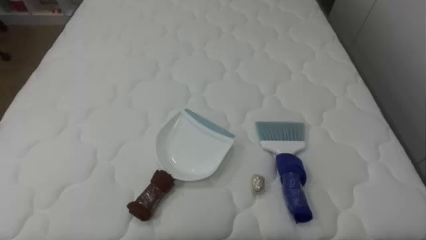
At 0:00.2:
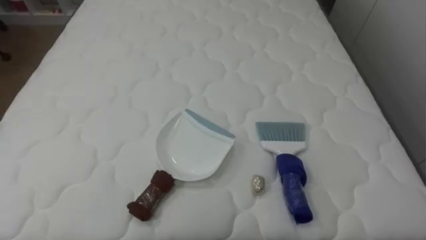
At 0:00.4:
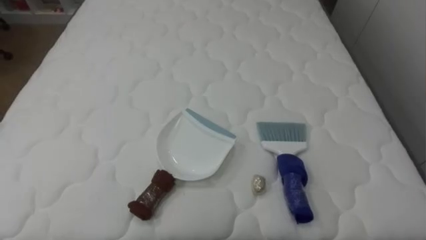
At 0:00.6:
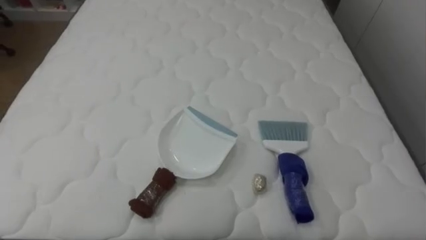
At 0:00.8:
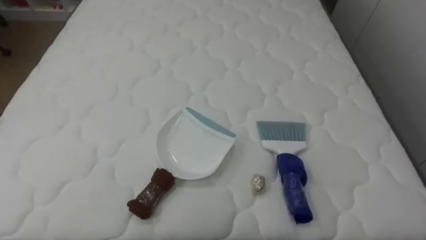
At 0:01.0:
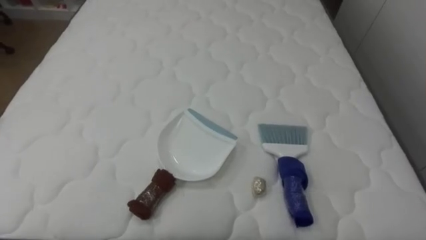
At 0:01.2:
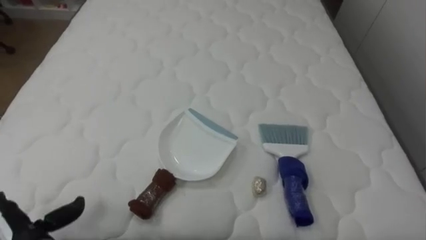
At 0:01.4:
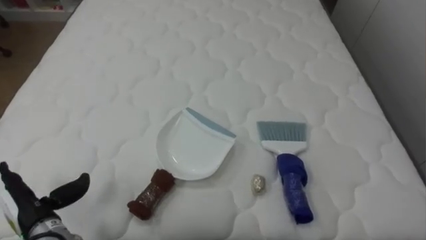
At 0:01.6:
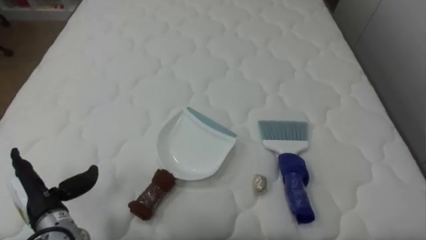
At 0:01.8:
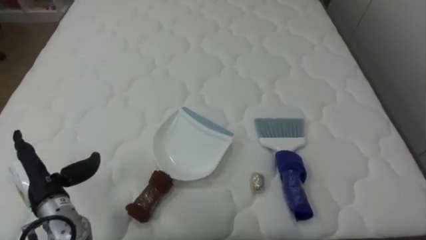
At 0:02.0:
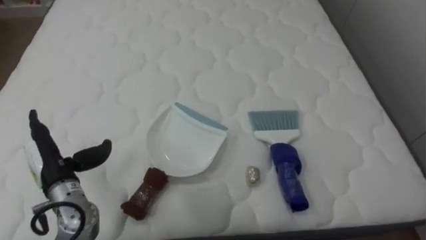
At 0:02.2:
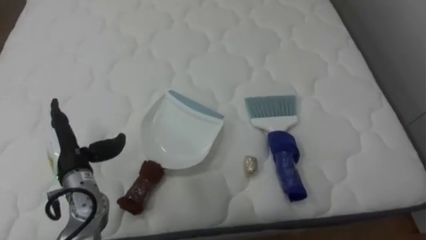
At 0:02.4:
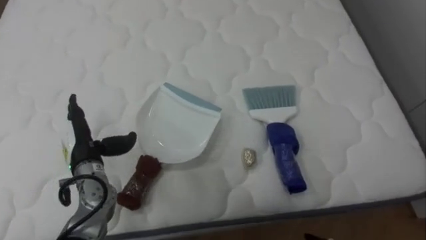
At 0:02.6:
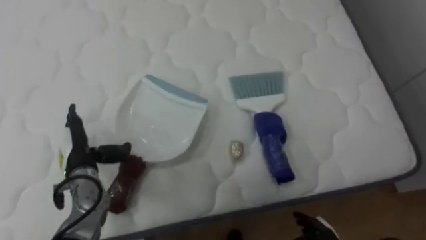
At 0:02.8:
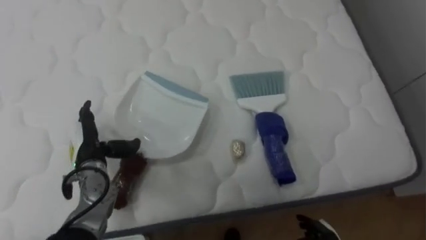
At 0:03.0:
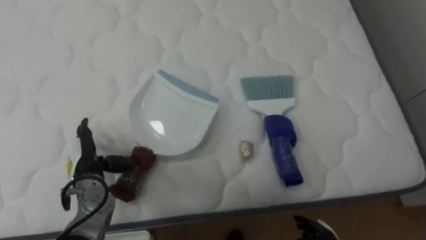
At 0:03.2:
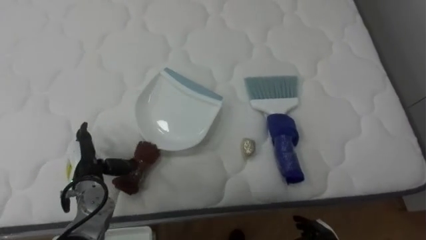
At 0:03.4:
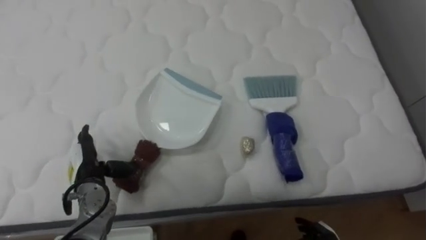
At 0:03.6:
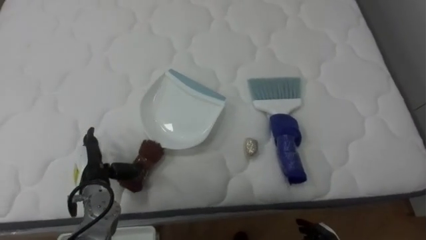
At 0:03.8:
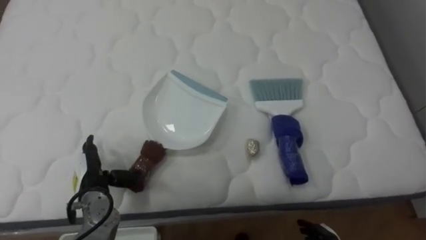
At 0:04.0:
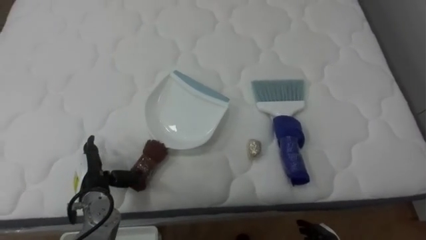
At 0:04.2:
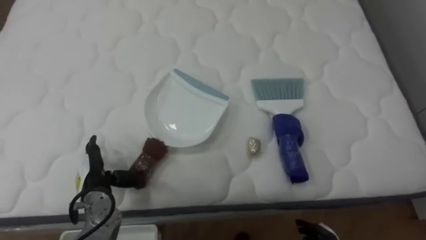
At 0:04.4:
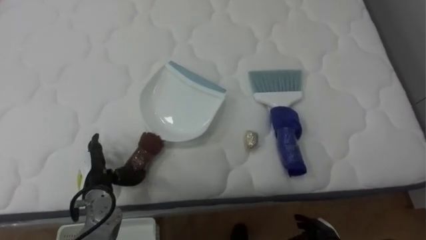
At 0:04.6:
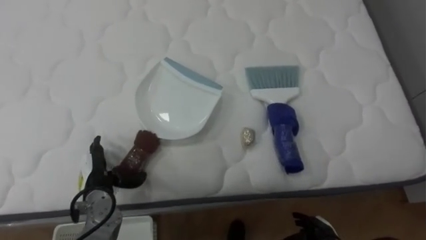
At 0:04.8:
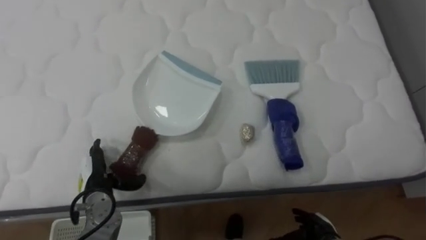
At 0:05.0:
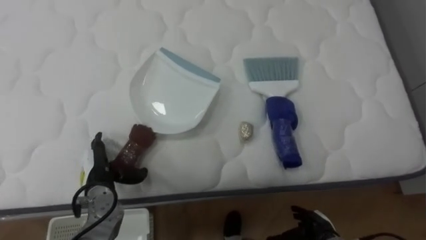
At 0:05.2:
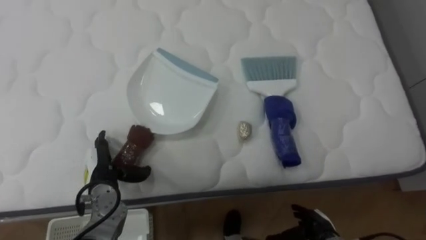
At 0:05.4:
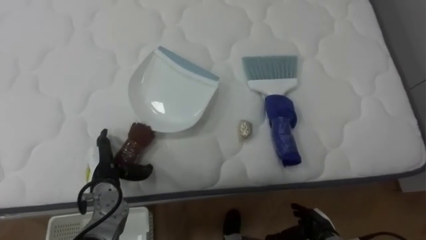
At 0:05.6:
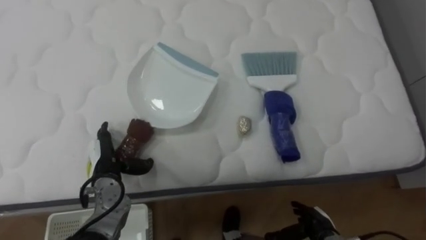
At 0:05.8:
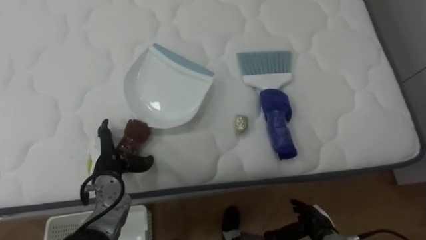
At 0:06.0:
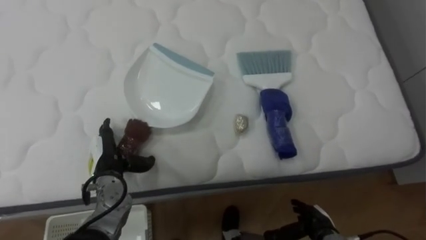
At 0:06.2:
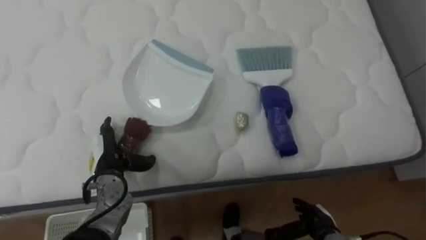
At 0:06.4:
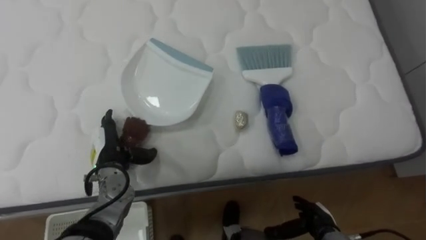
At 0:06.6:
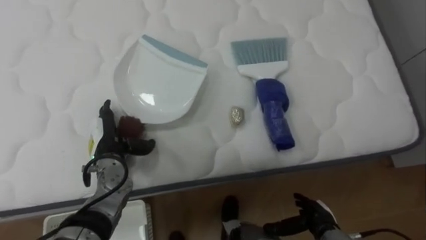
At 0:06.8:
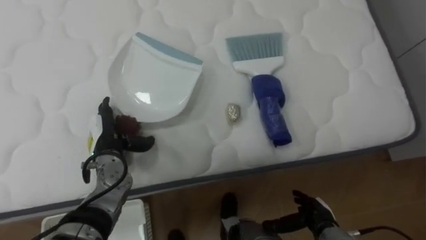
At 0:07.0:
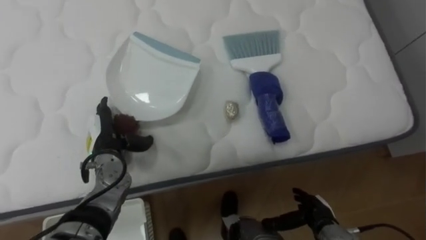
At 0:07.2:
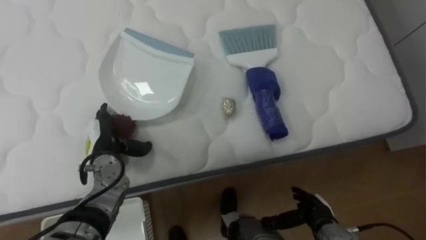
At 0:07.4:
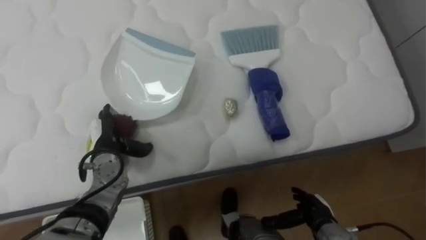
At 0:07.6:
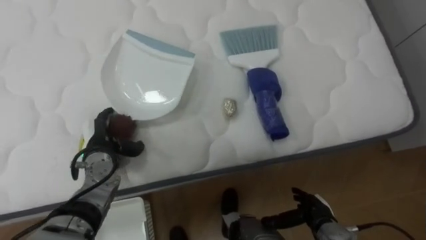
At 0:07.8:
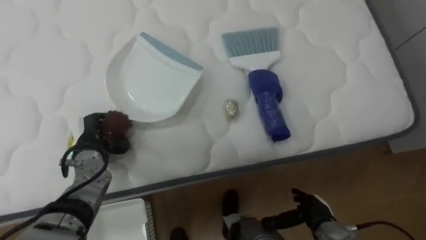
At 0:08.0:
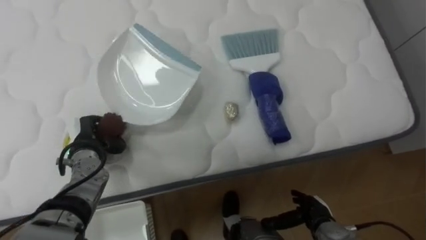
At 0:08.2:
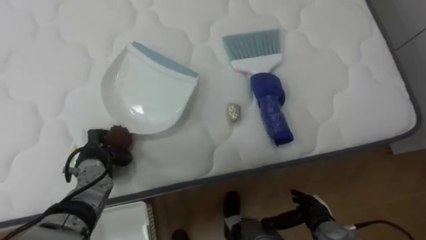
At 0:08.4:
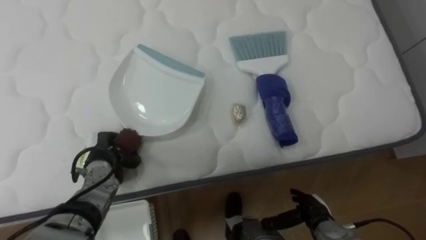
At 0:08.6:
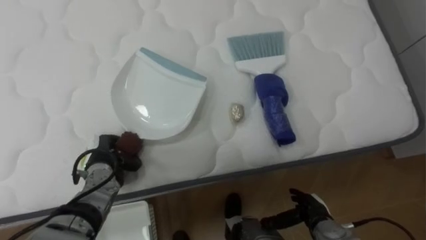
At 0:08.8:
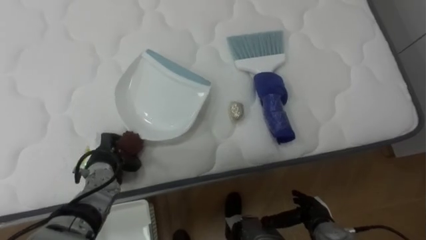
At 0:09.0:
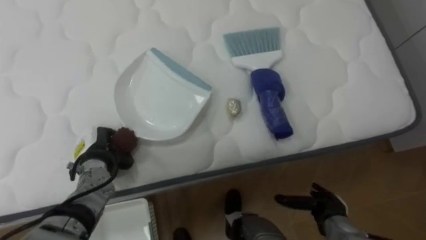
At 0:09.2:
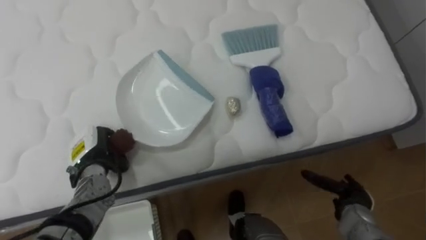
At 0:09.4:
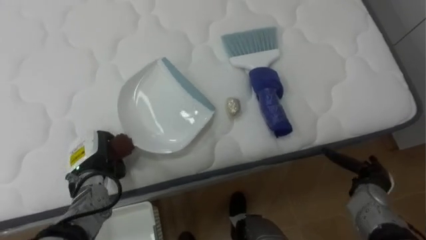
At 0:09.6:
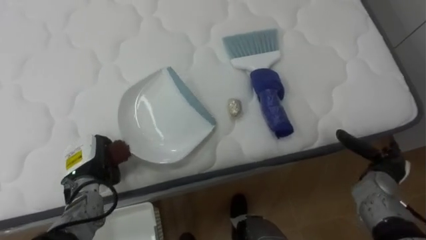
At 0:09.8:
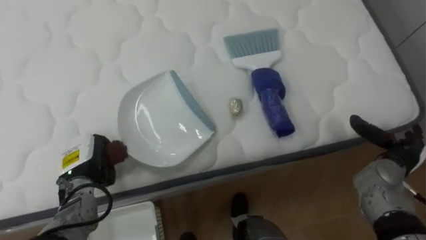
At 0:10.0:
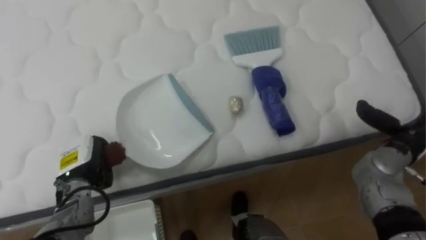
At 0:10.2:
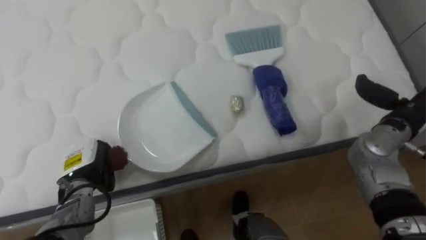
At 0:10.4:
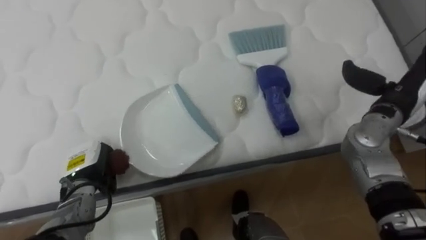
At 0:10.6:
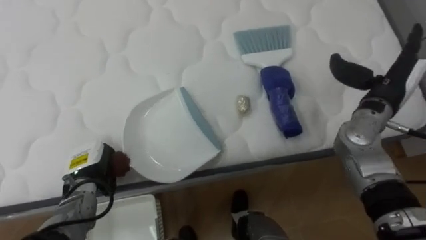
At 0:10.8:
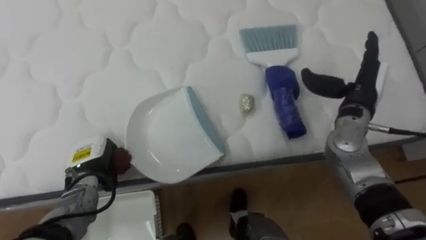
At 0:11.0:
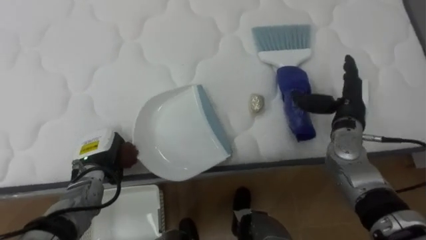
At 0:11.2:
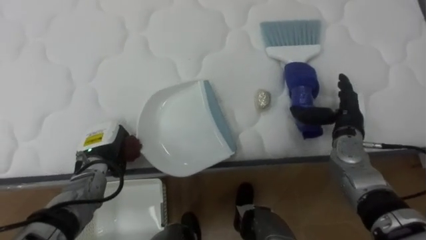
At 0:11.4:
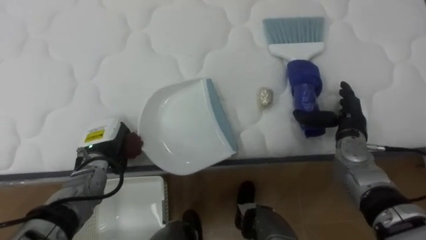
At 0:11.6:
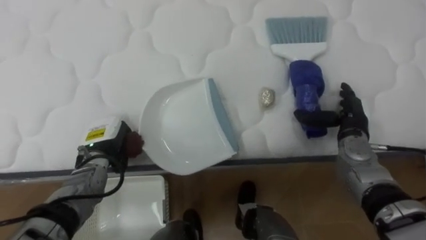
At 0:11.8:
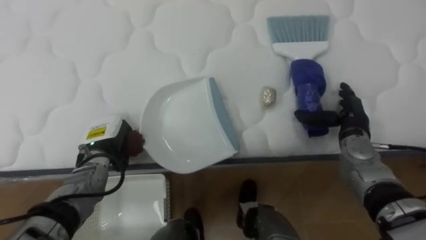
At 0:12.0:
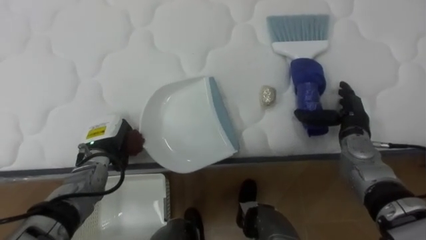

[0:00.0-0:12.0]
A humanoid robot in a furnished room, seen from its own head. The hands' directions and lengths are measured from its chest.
Task of the whole recording: Pick up the brush on your right and the dustpan on your left. Use the brush to sweep the crumpled paper on the bed into the dustpan, then turn left and empty it into the basket.
0:01.6 to 0:03.0: The left hand goes approximately 10 cm forward and to the right.
0:07.6 to 0:09.0: The left hand closes up.
0:09.0 to 0:10.4: The right hand goes approximately 30 cm upward and forward.
0:10.4 to 0:12.0: The left hand shifts roughly 5 cm forward. Meanwhile the right hand heads downward, covering some 10 cm.

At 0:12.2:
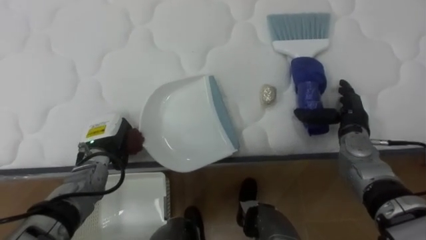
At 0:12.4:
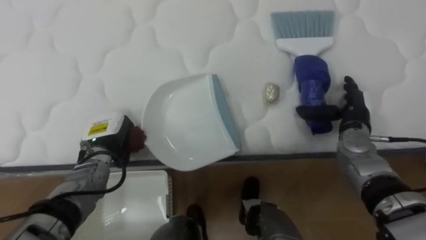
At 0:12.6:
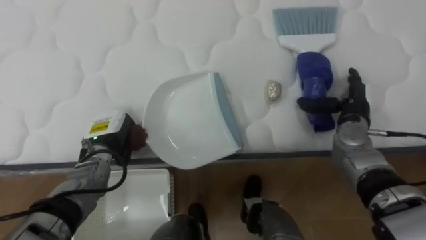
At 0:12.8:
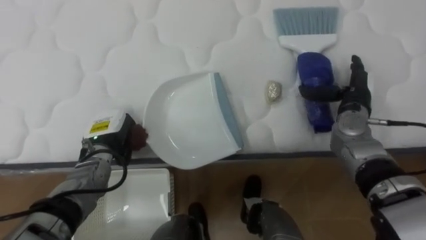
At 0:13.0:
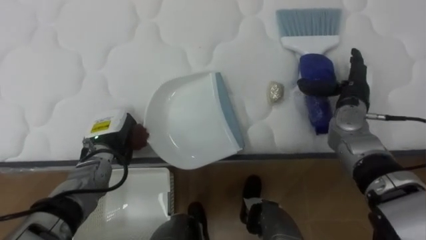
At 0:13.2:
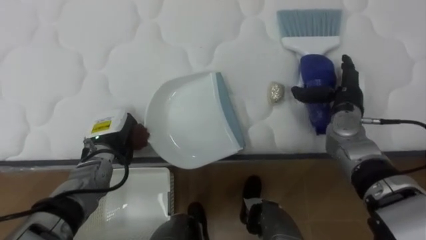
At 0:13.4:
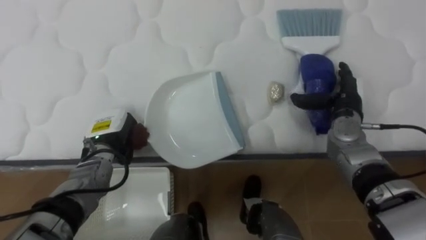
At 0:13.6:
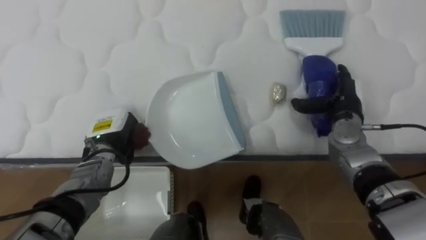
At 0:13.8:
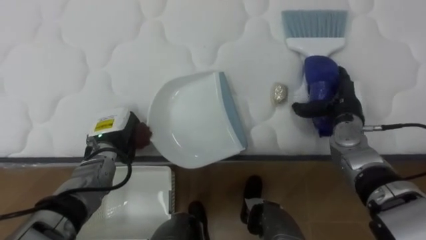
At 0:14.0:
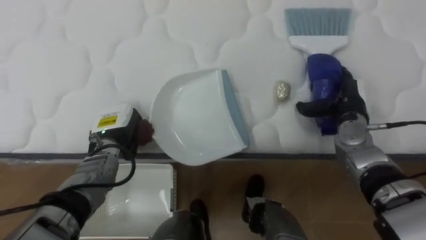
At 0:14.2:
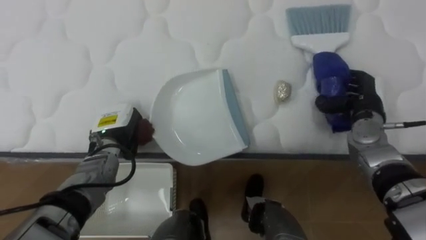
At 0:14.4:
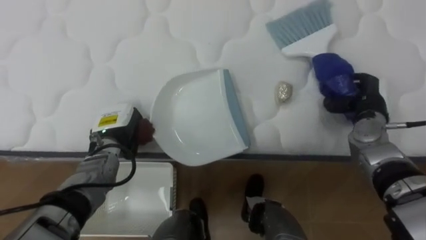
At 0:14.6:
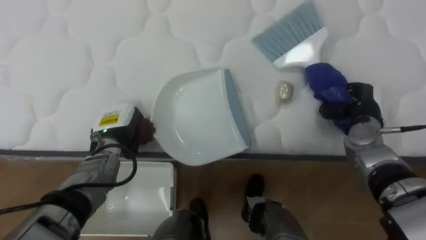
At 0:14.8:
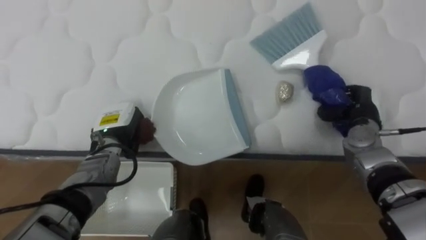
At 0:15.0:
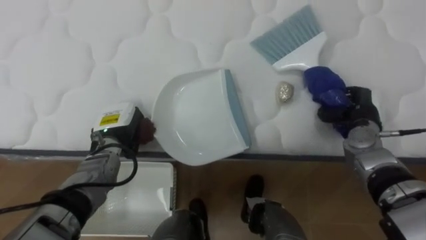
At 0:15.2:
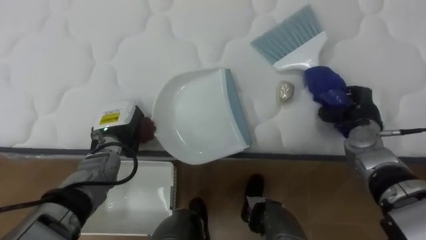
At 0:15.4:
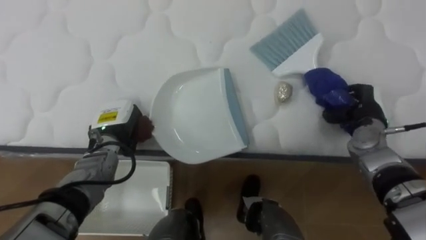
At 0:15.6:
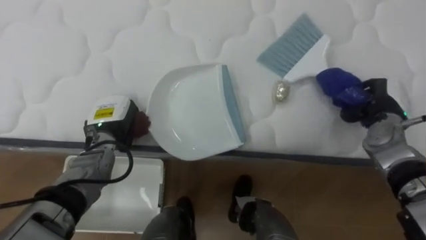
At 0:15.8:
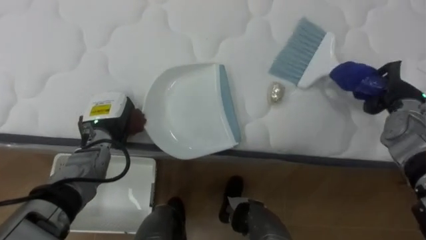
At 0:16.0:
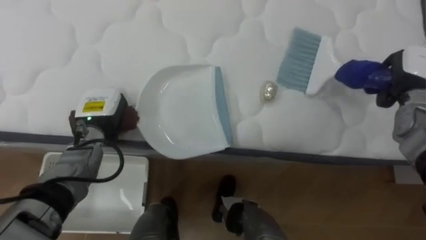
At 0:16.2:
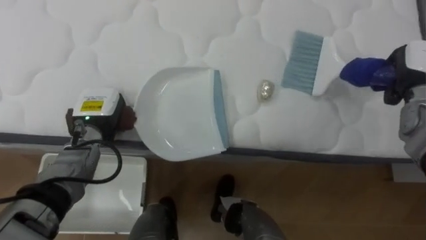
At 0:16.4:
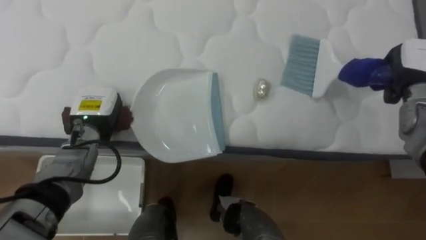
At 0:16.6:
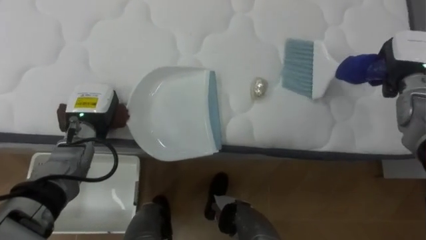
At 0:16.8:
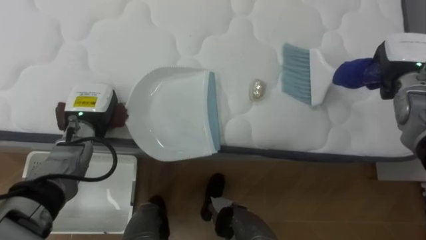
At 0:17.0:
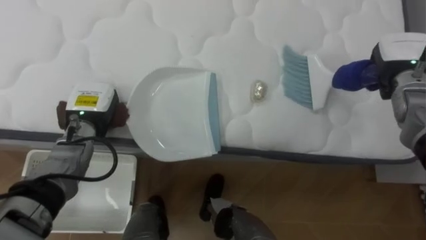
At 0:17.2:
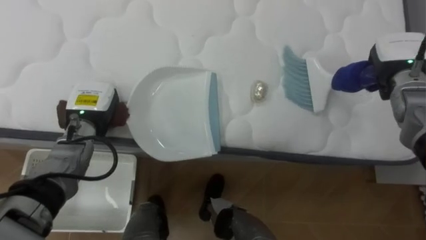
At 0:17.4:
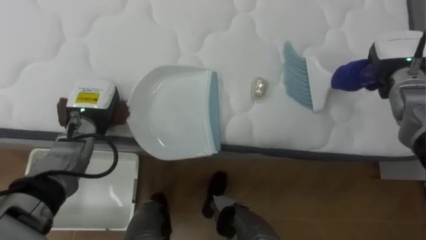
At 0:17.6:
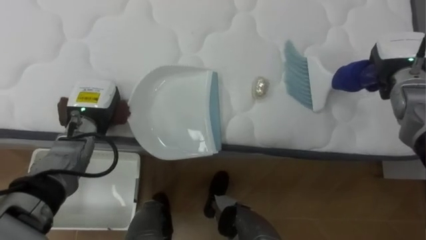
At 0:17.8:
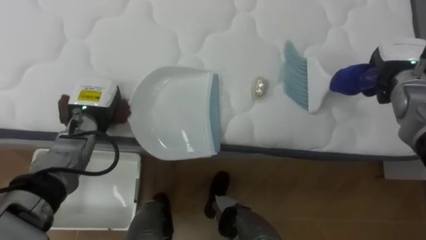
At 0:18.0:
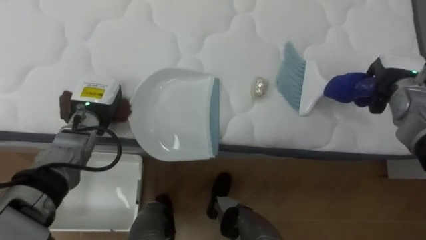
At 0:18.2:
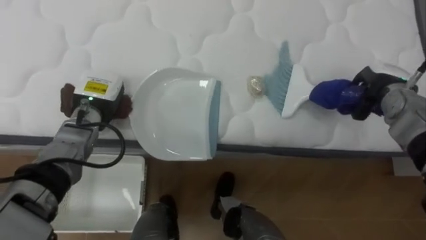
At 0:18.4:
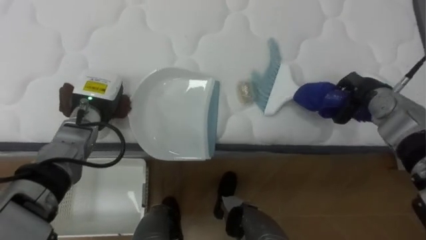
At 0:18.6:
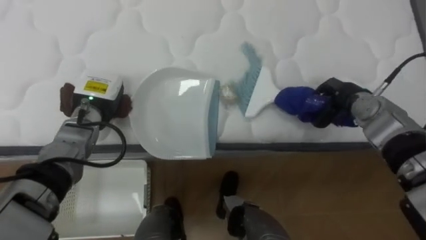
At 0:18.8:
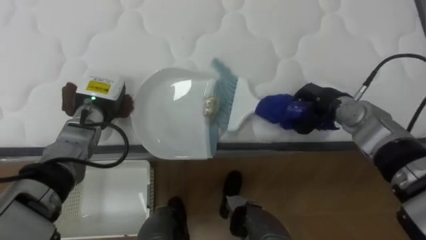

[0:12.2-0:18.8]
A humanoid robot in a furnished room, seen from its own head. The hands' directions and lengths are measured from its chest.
Task of the whole recording: Pick up the brush on your right and the dustpan on your left. Use the brush to sweep the crumpled paper on the bed into the dustpan, then turn left and empty it into the basket.
0:13.8 to 0:15.4: The right hand closes its fingers.
0:15.4 to 0:17.2: The right hand travels upward by approximately 10 cm. The left hand moves some 5 cm.
0:17.2 to 0:18.8: The right hand heads to the left and downward, covering approximately 15 cm.
